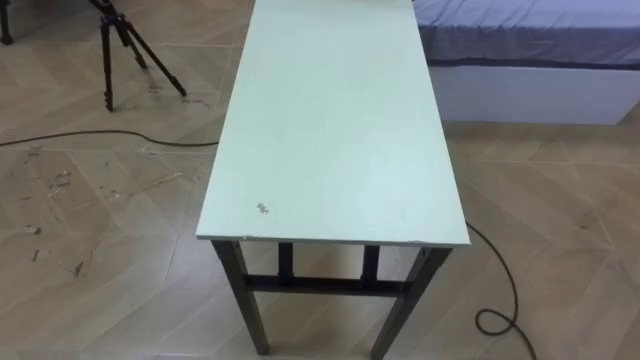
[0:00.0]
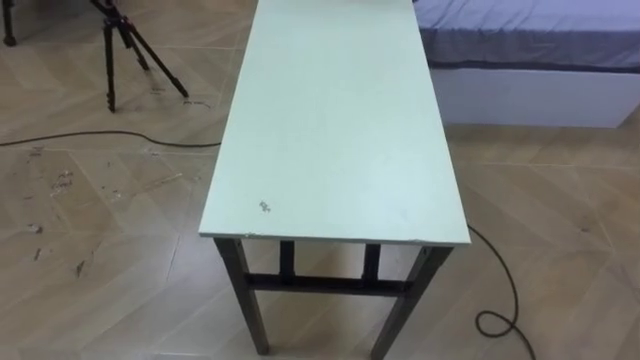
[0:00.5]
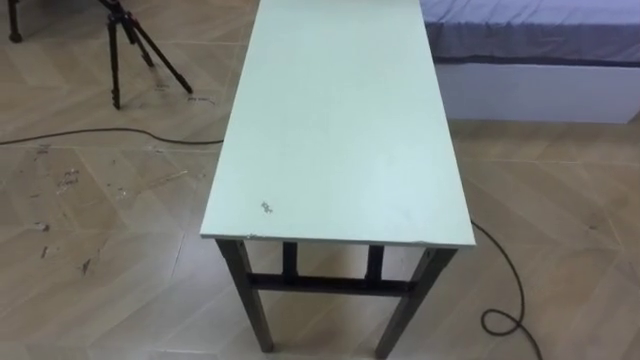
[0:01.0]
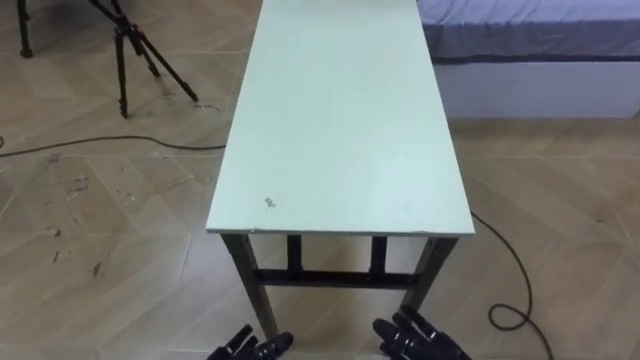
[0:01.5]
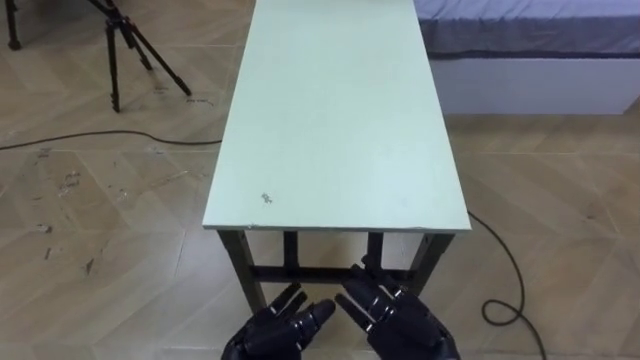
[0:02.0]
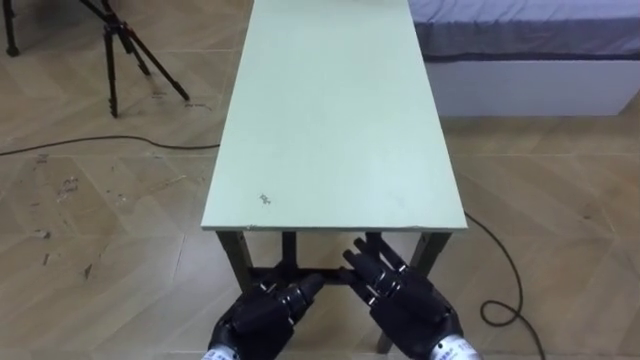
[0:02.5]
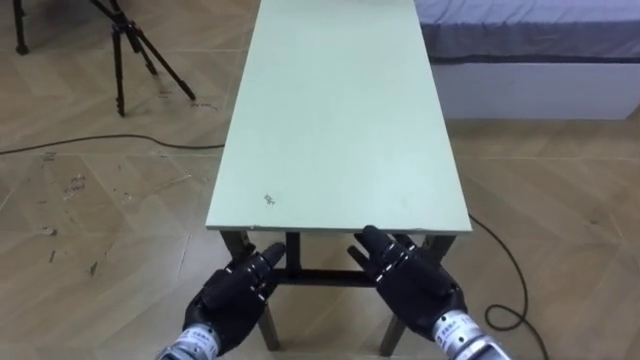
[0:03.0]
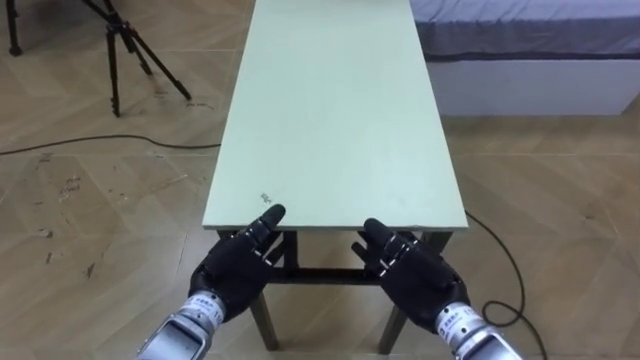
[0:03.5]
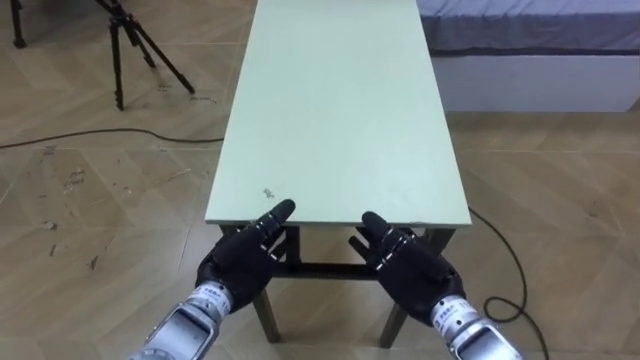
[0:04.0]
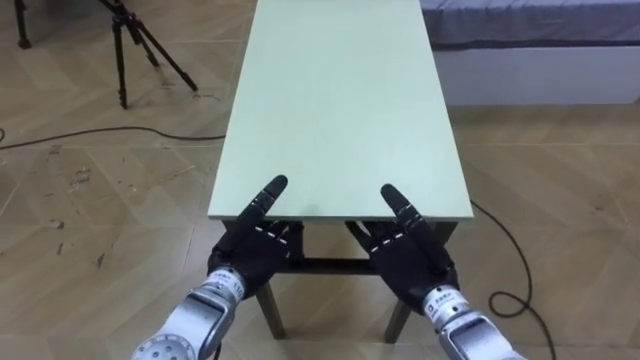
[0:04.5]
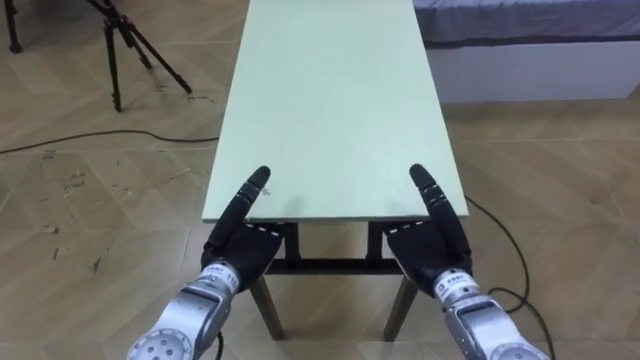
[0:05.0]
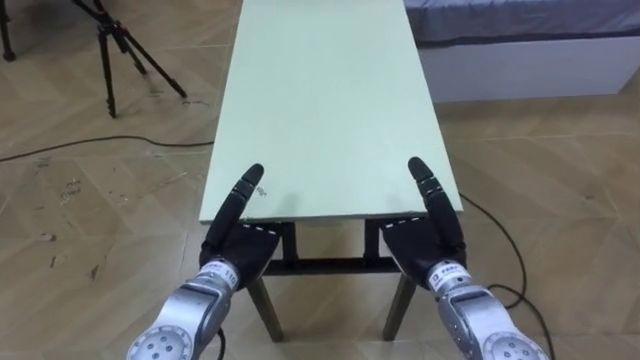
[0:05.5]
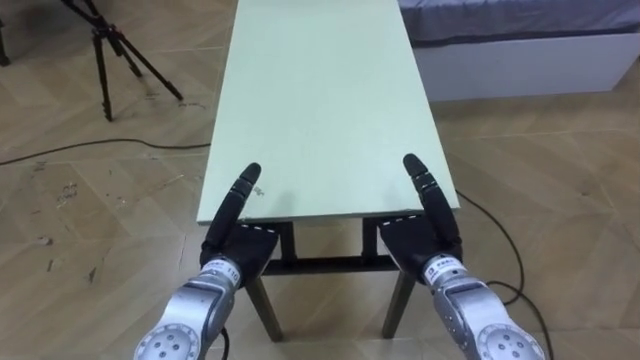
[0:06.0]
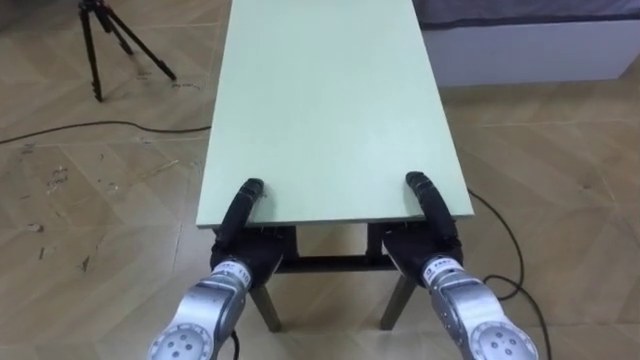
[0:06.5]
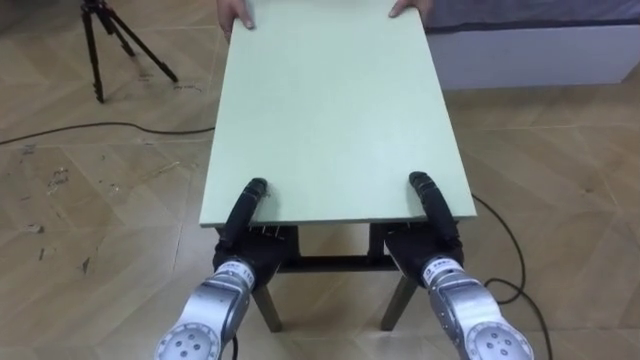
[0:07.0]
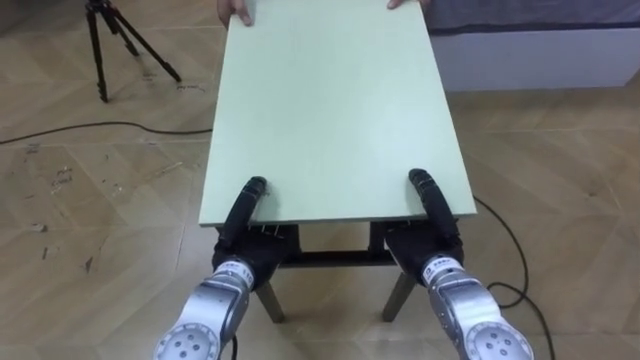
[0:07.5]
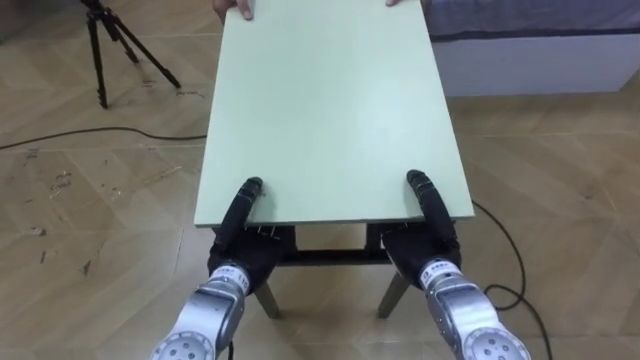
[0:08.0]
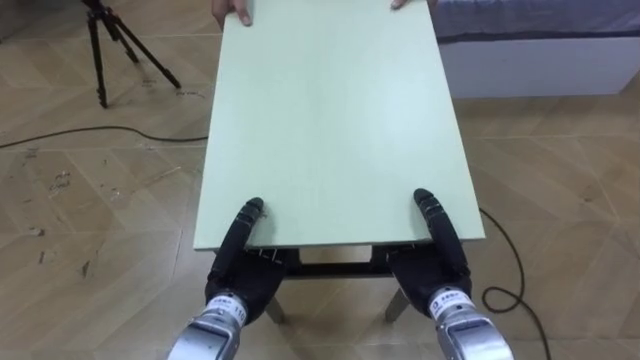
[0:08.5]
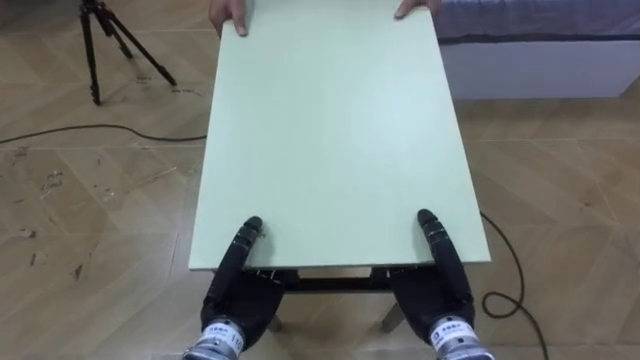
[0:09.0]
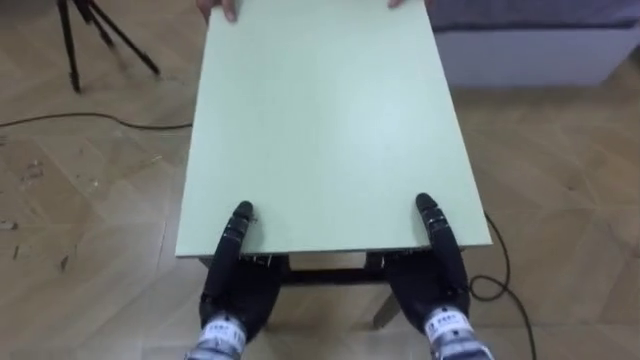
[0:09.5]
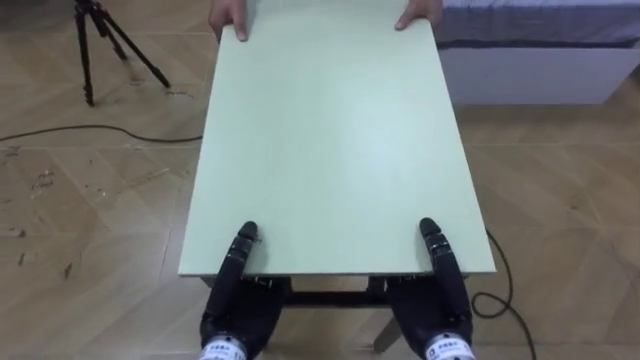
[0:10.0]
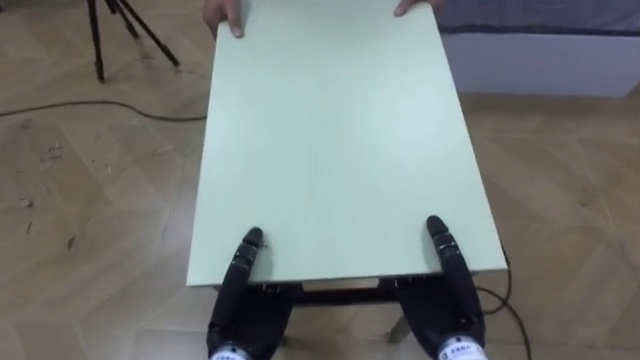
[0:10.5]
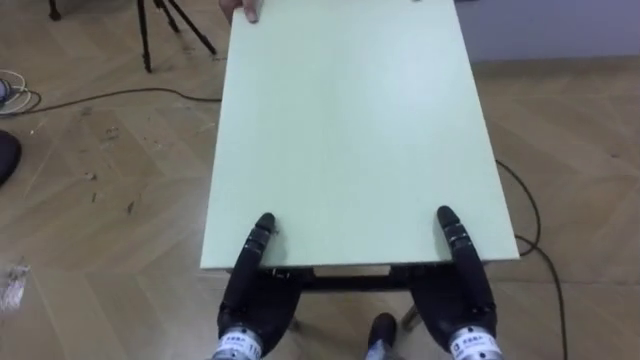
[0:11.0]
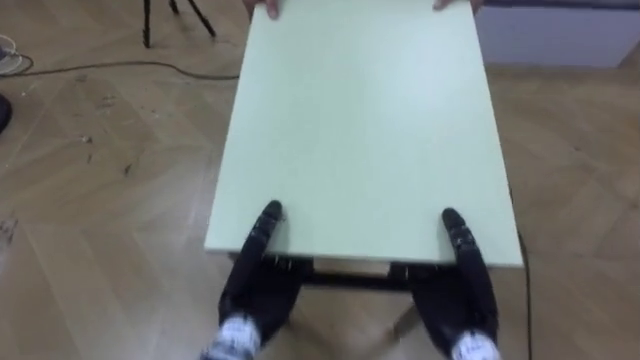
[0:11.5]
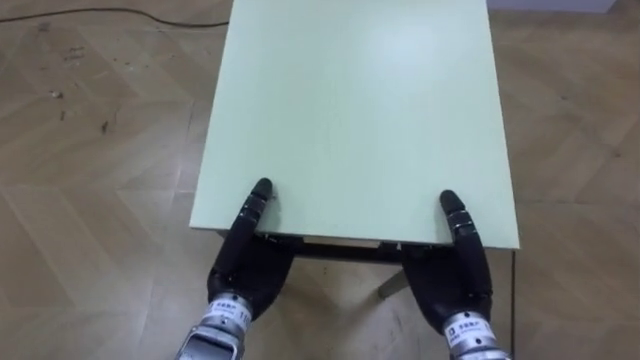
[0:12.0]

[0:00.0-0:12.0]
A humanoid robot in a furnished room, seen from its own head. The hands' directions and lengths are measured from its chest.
Task of the whole recording: Move the table to the back left with someone.
0:02.0 to 0:04.0: The left hand heads forward and upward, covering roughly 10 cm. The right hand goes some 5 cm forward.
0:06.0 to 0:08.0: The right hand closes its fingers. The left hand closes up.
0:08.0 to 0:10.0: The two hands go approximately 10 cm backward.
0:10.0 to 0:12.0: The left hand shifts by approximately 5 cm.

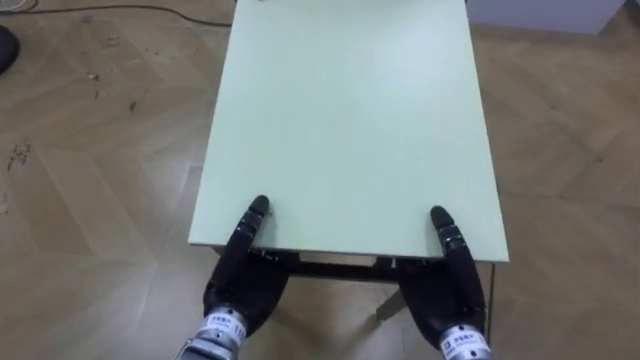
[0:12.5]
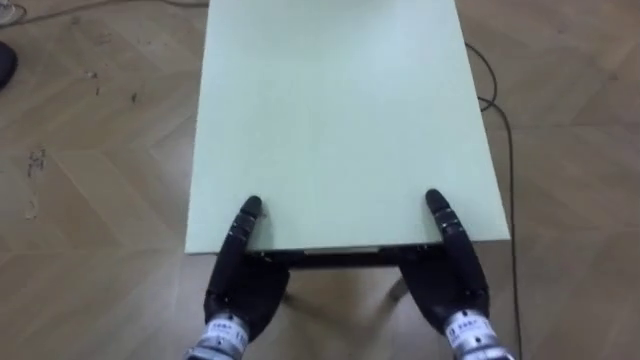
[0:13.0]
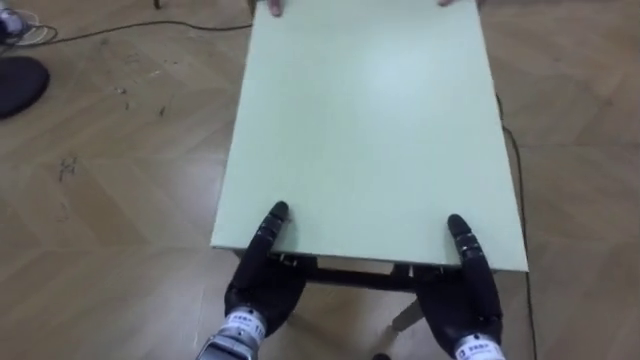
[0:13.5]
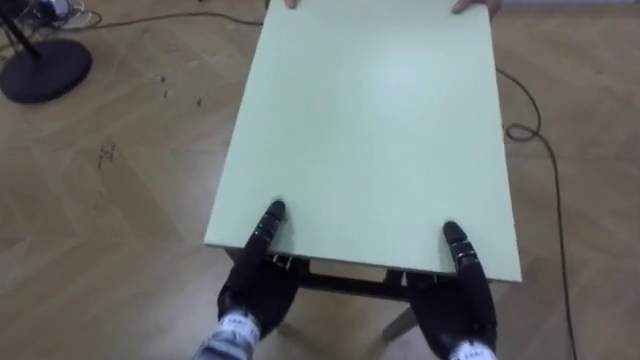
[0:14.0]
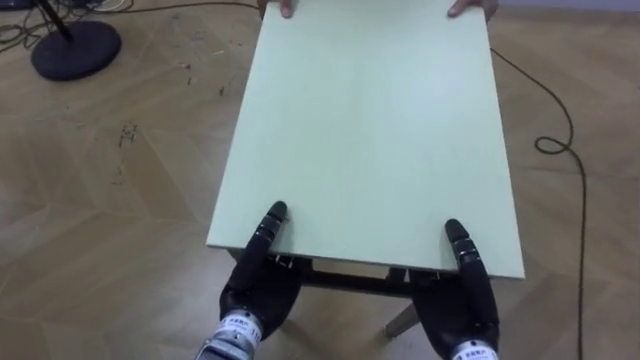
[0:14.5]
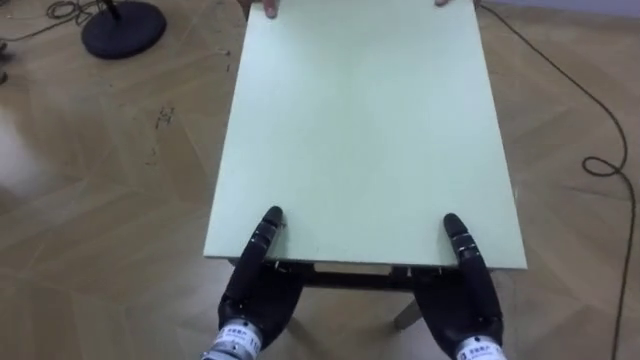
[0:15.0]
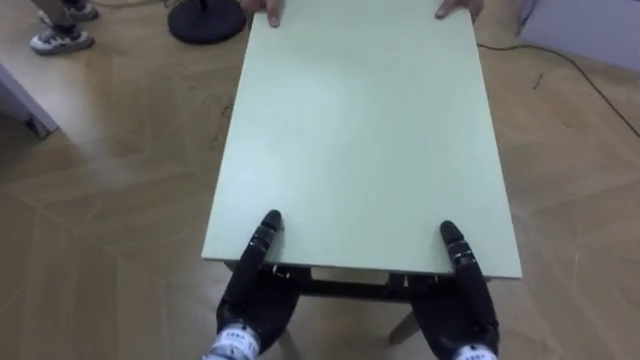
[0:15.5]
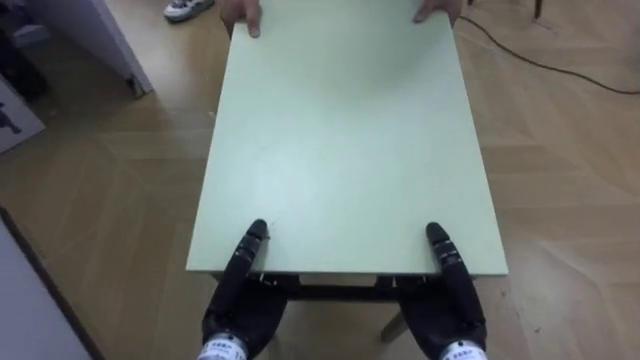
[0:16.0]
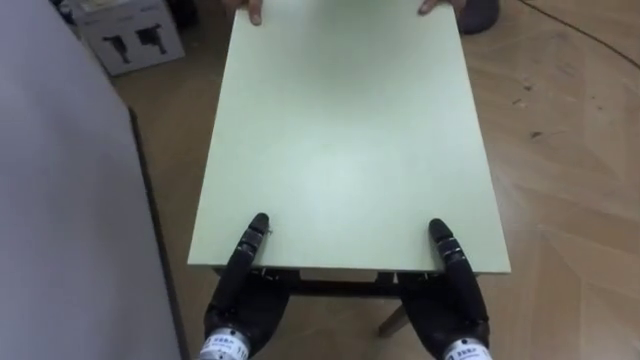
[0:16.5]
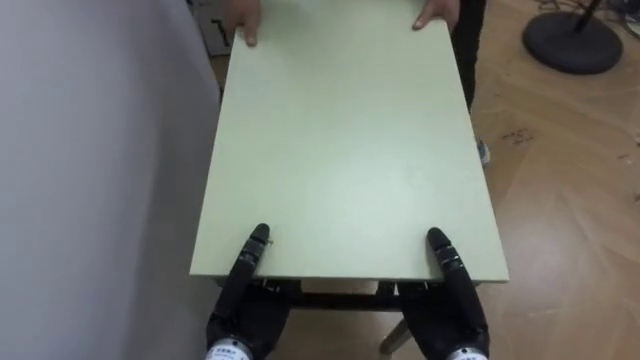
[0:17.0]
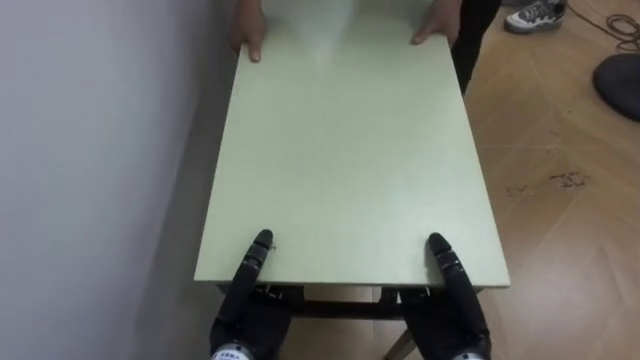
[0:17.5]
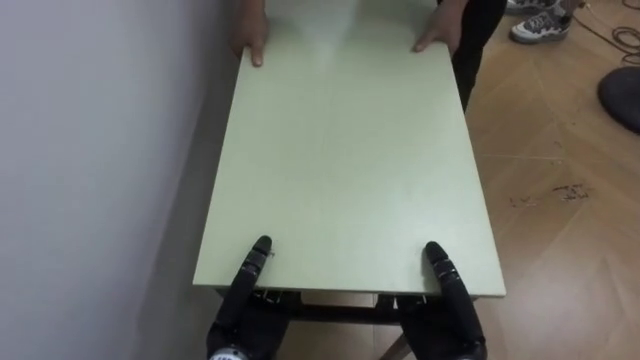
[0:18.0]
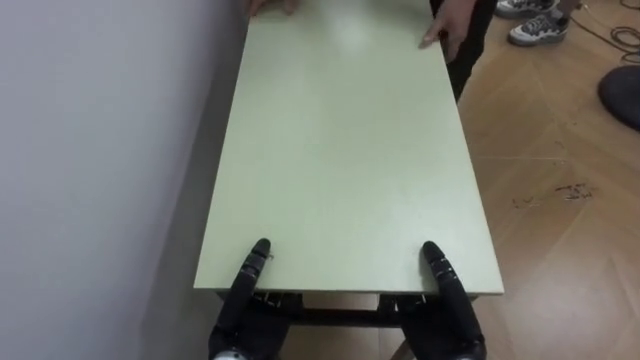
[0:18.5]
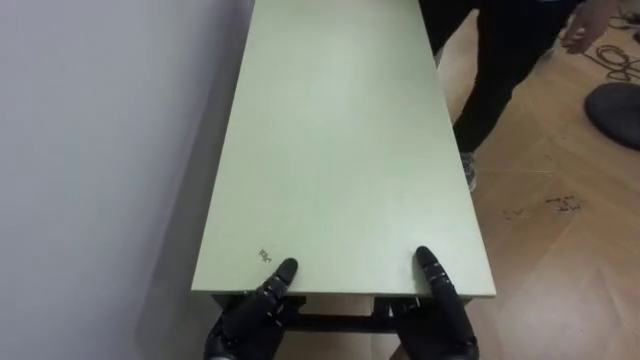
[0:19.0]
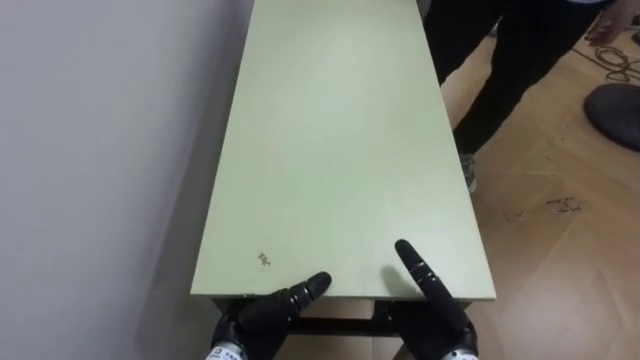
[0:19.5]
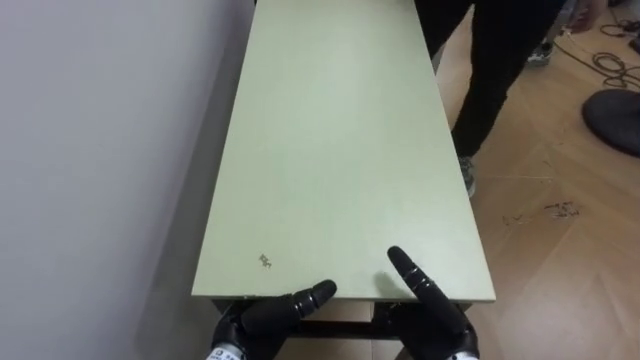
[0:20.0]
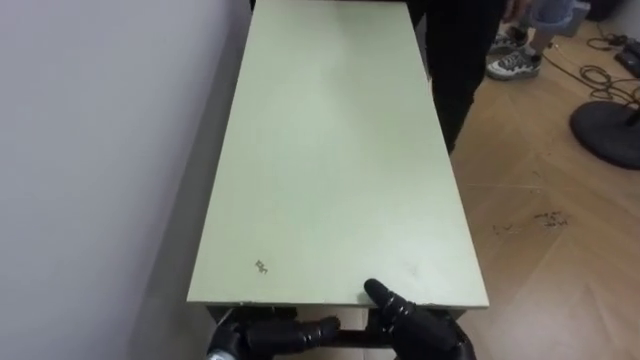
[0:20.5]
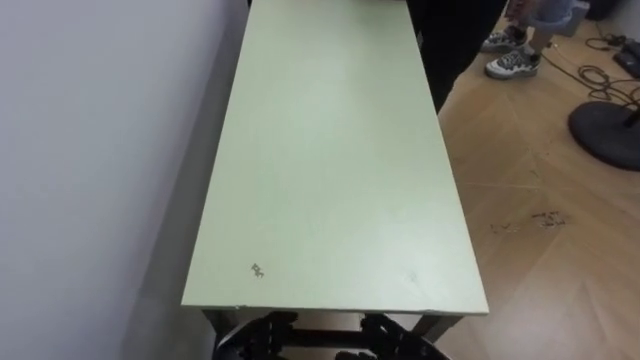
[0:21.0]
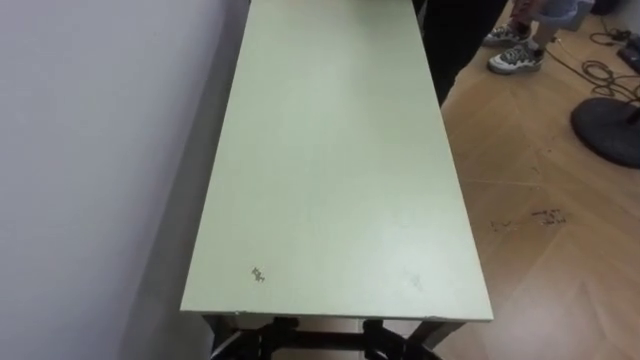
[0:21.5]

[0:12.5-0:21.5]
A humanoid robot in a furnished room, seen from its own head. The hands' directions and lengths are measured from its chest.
Task of the whole recording: Move the table to the back left with someone.
0:14.5 to 0:17.0: The robot's body swings approximately 70 degrees to its left.
0:17.0 to 0:19.5: The right hand opens up; the left hand opens up.
